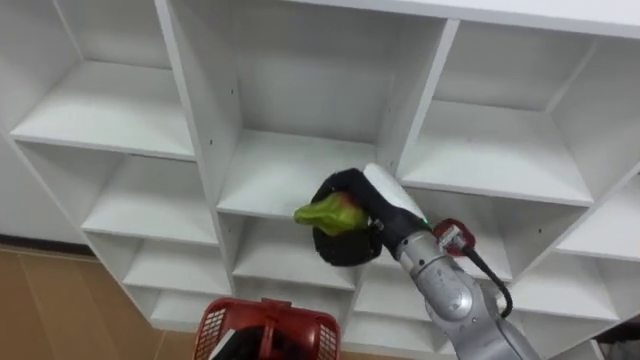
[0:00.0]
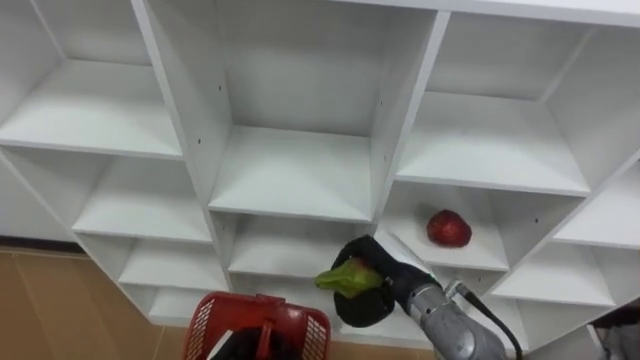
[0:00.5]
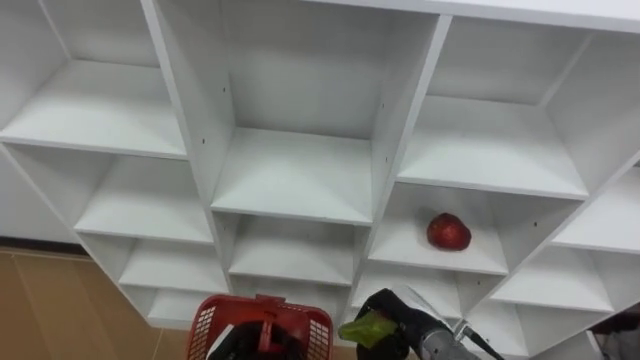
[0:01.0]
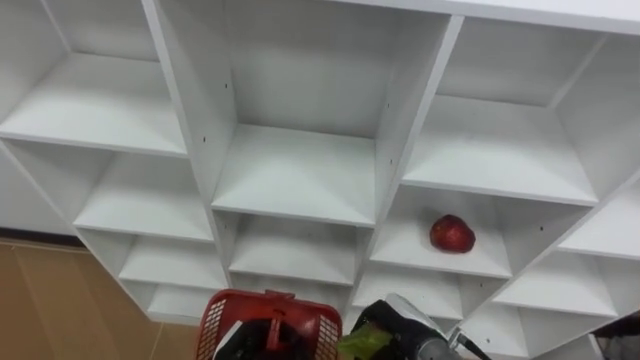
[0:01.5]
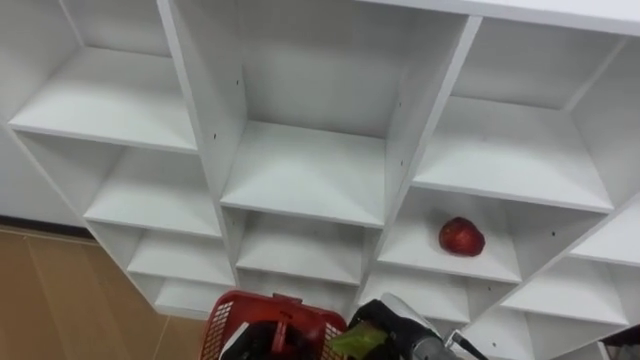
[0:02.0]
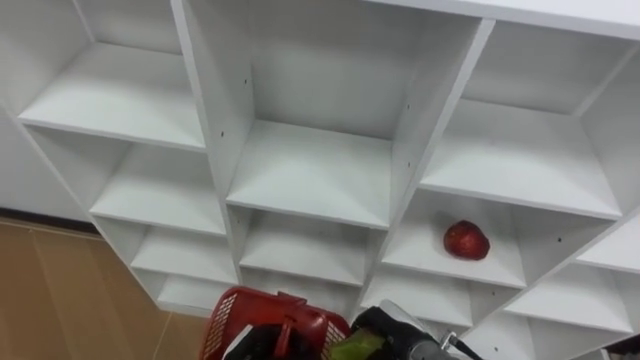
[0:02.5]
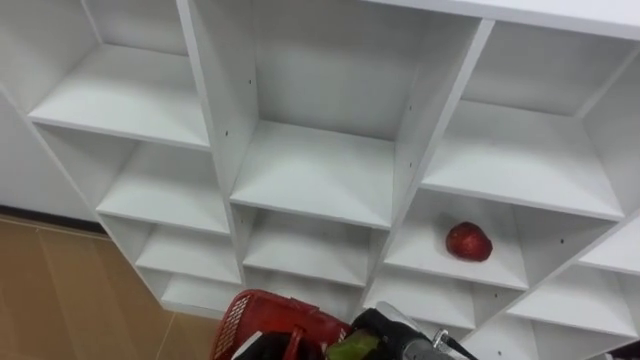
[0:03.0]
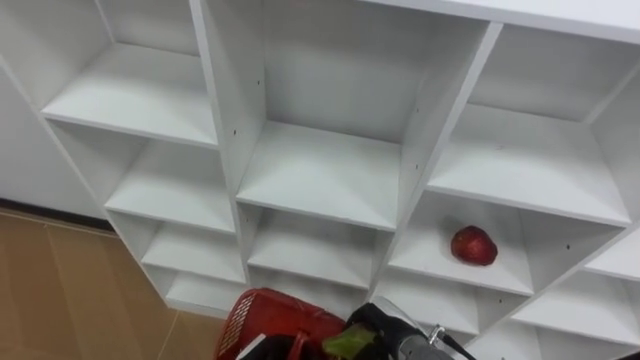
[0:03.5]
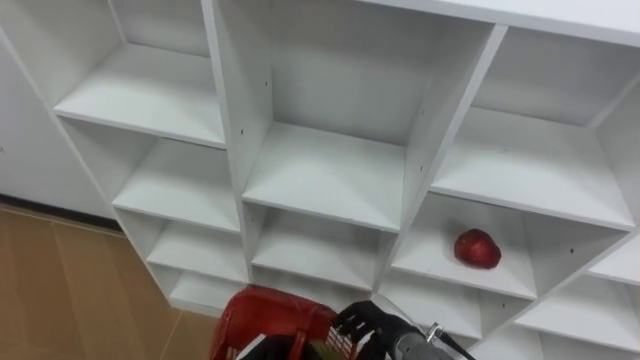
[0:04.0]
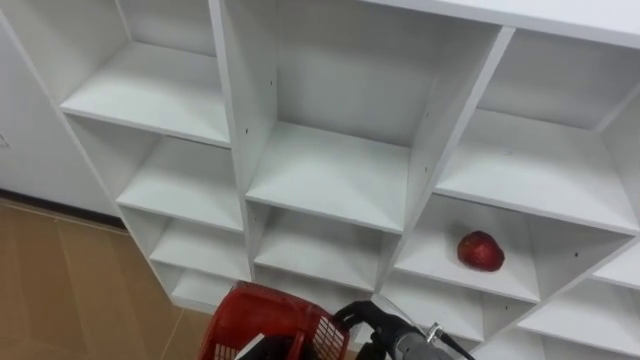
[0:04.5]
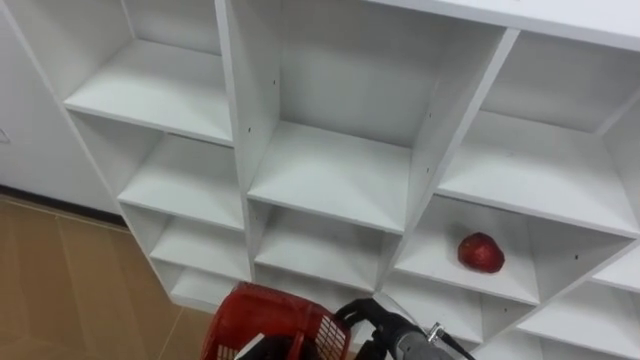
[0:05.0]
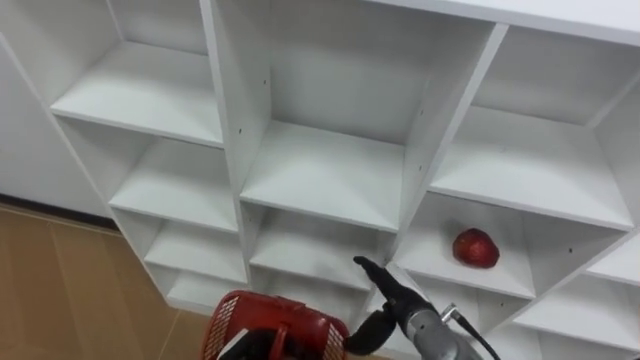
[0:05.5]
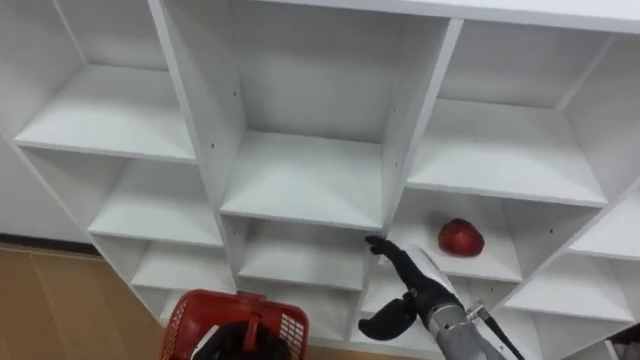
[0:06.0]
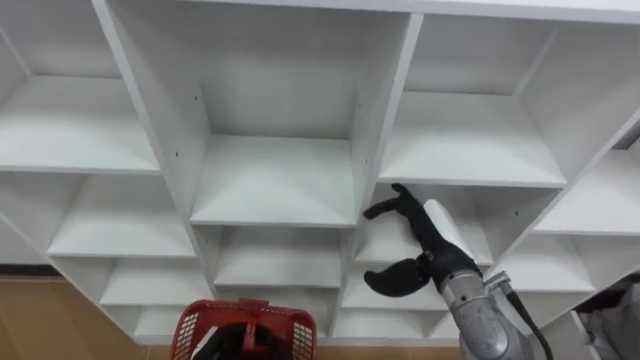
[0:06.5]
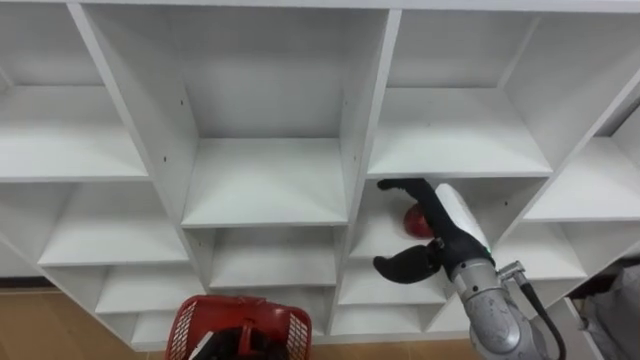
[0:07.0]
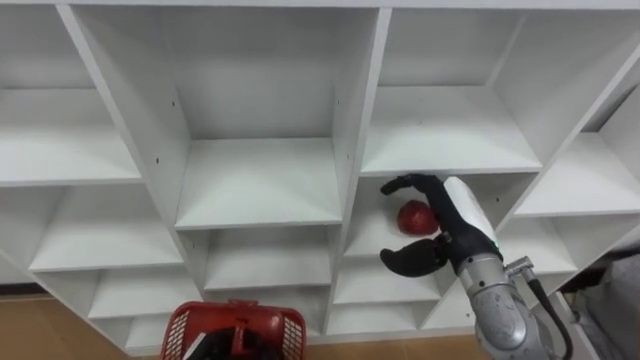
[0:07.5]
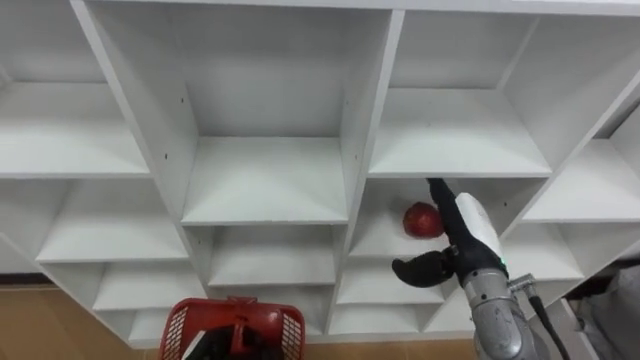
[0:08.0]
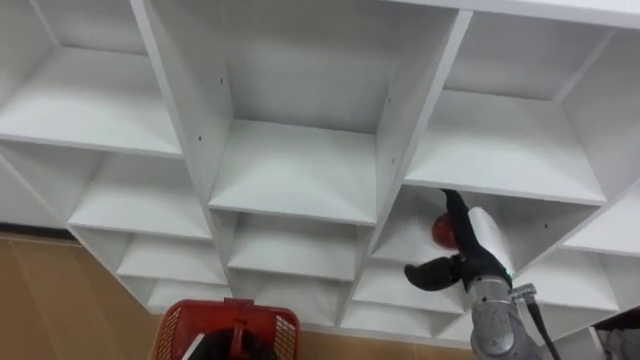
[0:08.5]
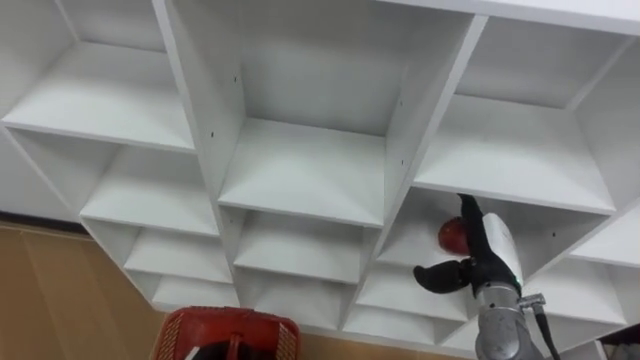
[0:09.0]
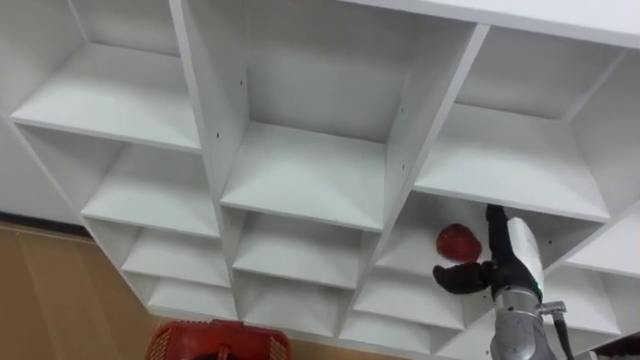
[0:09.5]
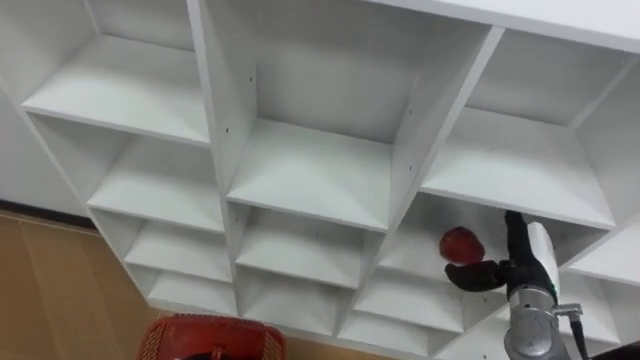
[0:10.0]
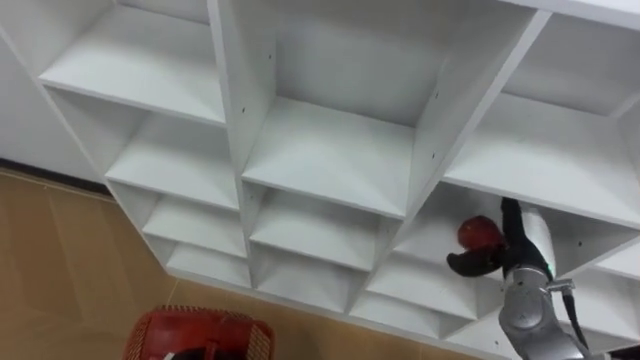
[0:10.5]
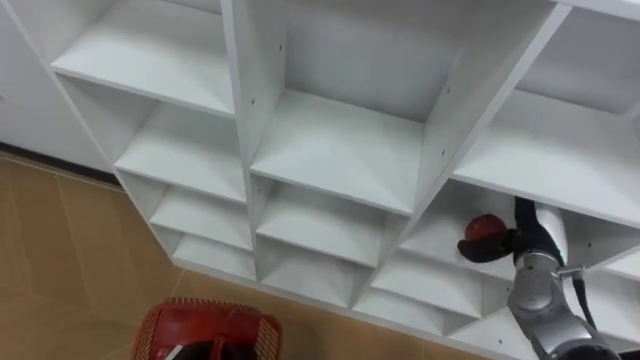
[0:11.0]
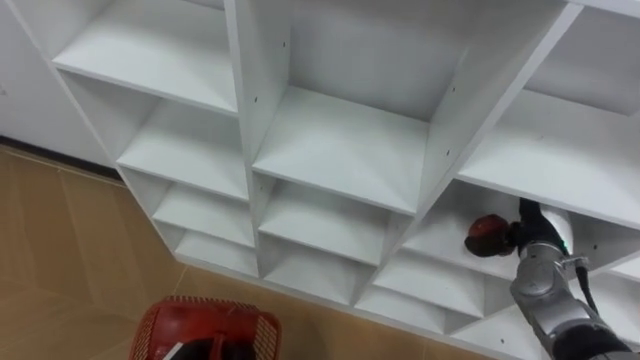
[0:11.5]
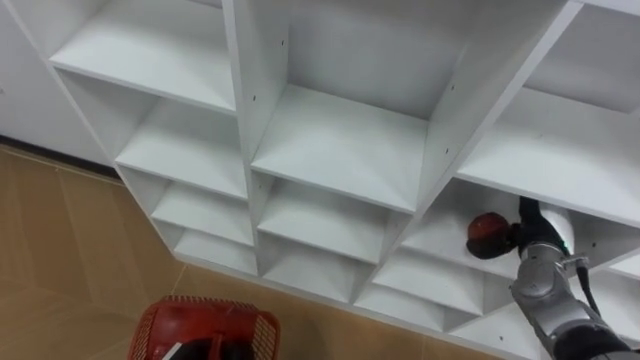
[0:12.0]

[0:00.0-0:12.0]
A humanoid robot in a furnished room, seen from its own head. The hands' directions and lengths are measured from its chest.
Task of the whole recording: Hold the basket and collect the fruits from 3 different cells of the closet into it.
0:00.0 to 0:02.0: The right hand goes approximately 20 cm downward and backward.
0:02.0 to 0:04.0: The right hand opens.
0:04.0 to 0:06.0: The right hand travels upward by about 5 cm.
0:06.0 to 0:08.0: The right hand heads upward and to the right, covering approximately 10 cm.
0:08.0 to 0:10.0: The right hand is displaced to the right and downward by approximately 10 cm.
0:10.0 to 0:12.0: The right hand is displaced forward by some 5 cm.

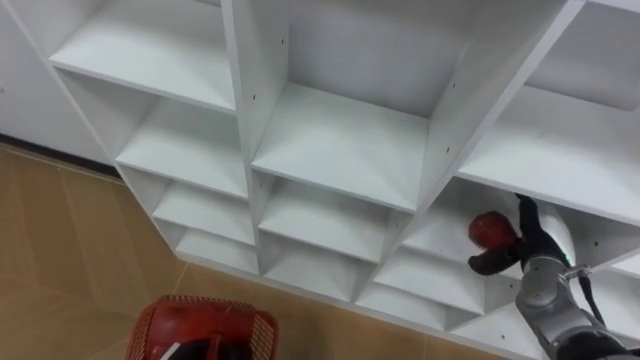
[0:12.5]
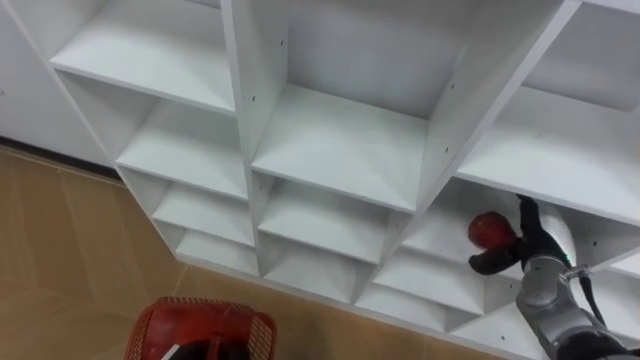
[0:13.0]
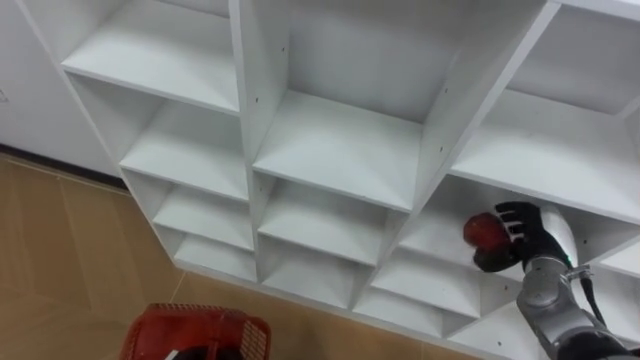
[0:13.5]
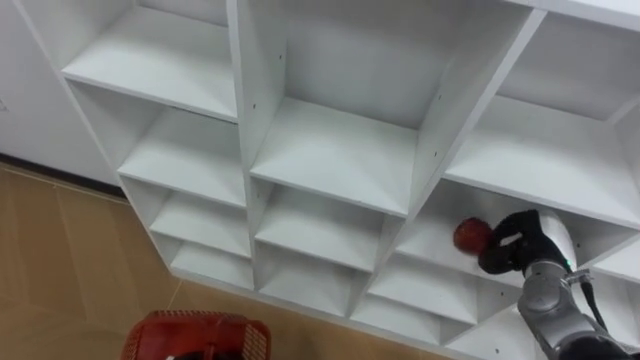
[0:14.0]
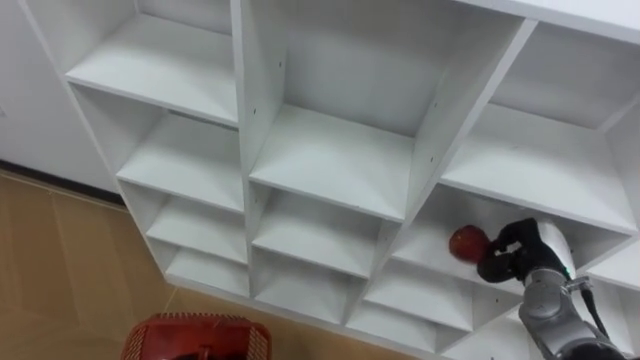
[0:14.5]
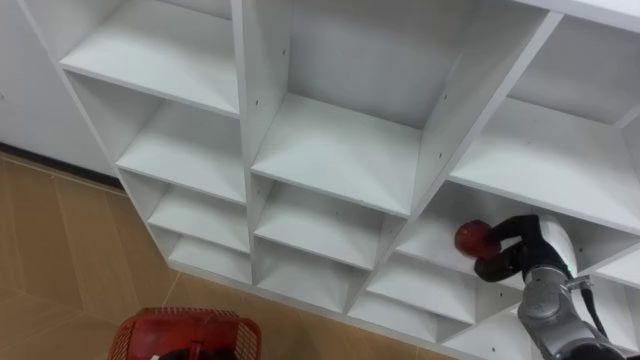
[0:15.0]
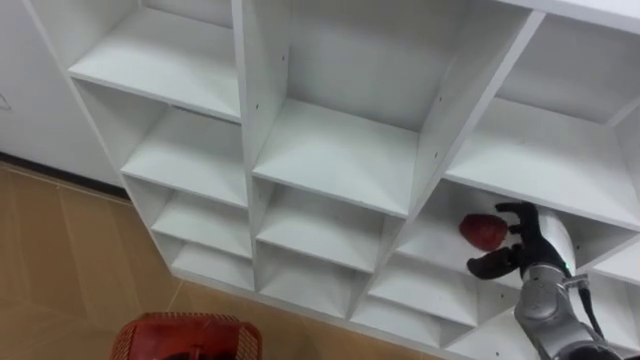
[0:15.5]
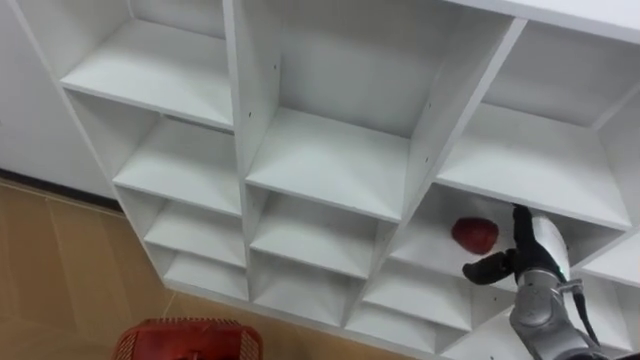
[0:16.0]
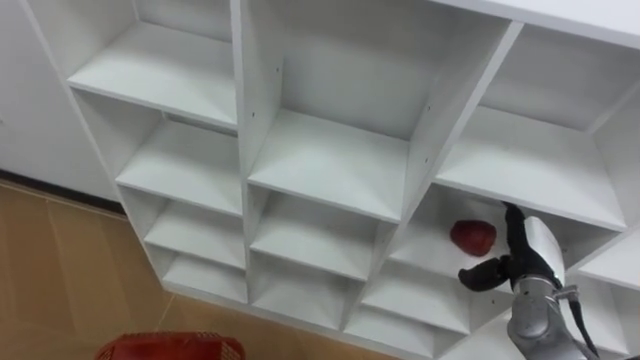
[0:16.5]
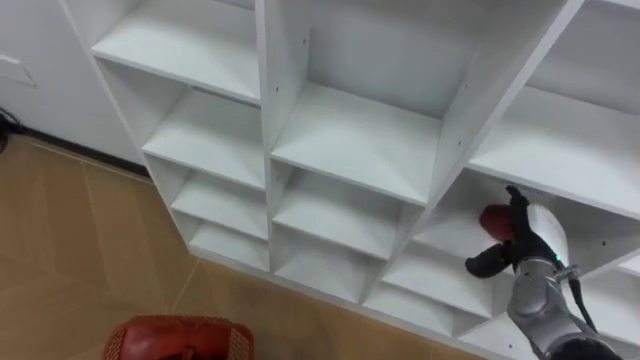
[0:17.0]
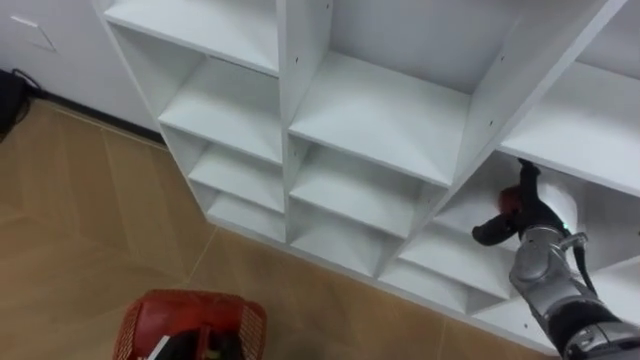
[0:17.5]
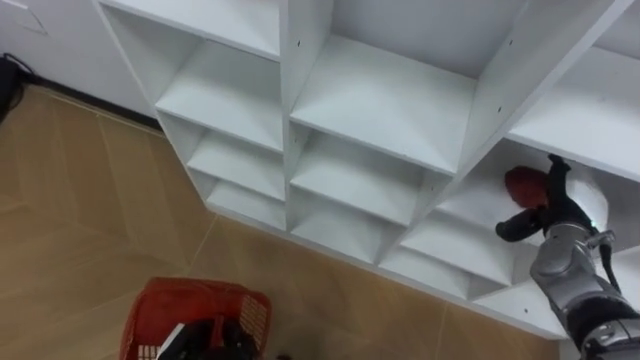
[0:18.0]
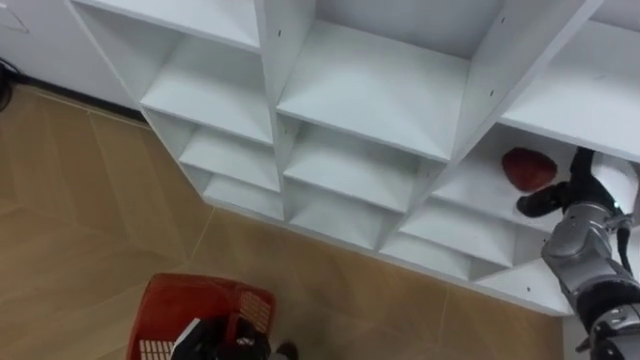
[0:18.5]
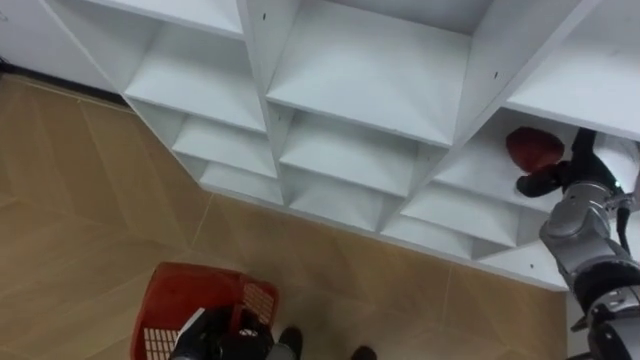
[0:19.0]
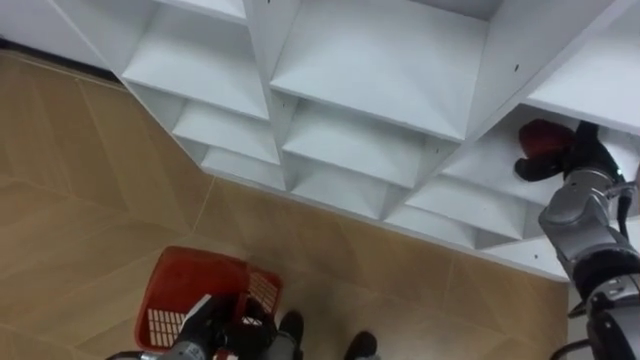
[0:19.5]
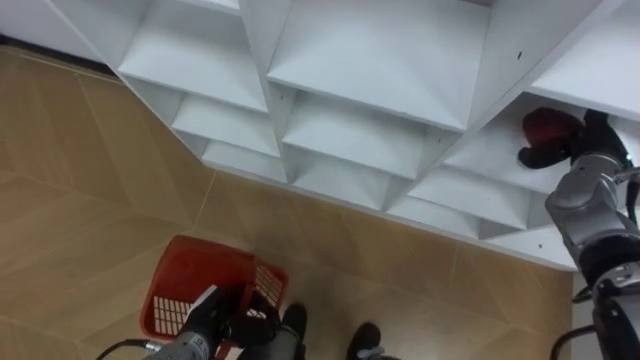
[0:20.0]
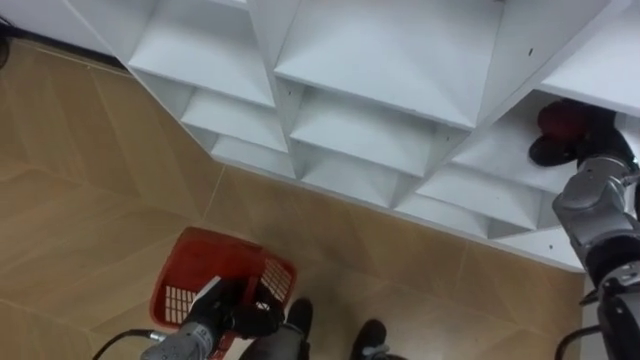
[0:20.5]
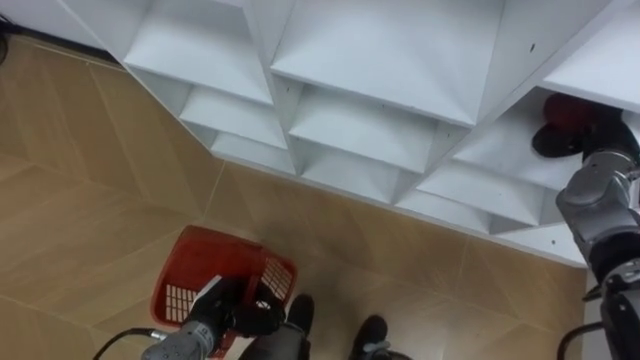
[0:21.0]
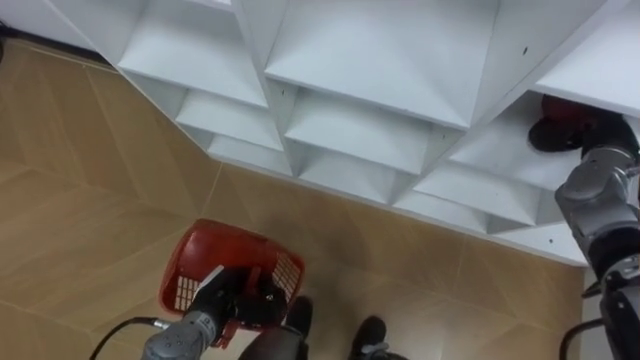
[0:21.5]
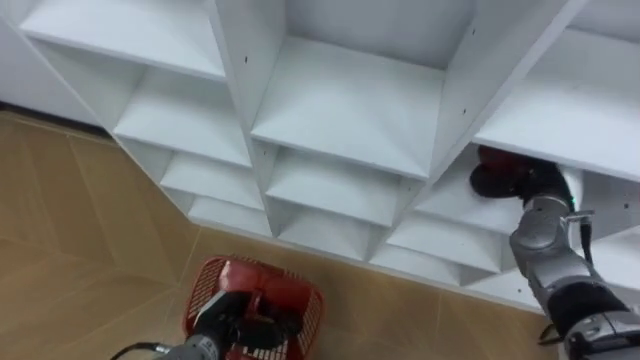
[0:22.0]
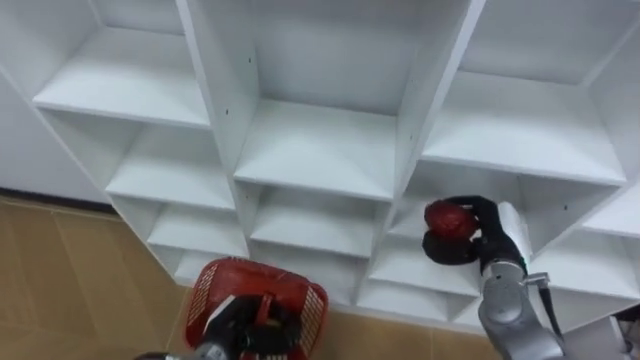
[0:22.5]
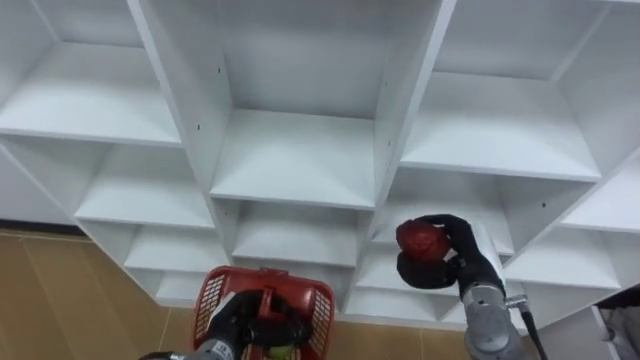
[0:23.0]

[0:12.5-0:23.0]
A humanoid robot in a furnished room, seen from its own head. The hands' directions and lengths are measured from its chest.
Task of the whole recording: Hold the basket and collect the fruits from 3 different cells of the closet into it.
0:12.5 to 0:14.5: The right hand closes.
0:14.5 to 0:16.5: The right hand opens.
0:16.5 to 0:19.0: The right hand travels upward, forward and to the right by some 15 cm.
0:19.0 to 0:21.0: The right hand closes.
0:21.0 to 0:23.0: The right hand shifts approximately 25 cm to the left, downward and backward.
